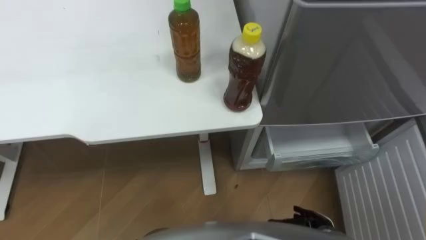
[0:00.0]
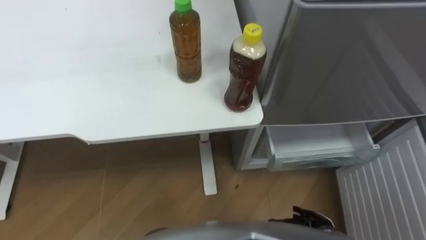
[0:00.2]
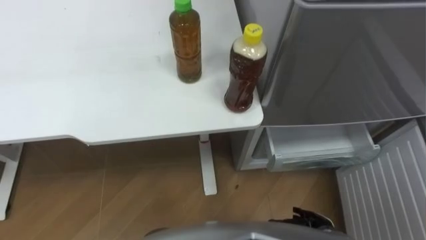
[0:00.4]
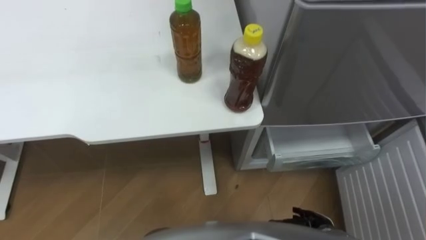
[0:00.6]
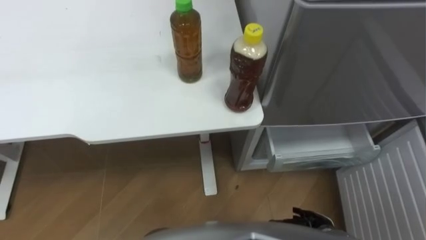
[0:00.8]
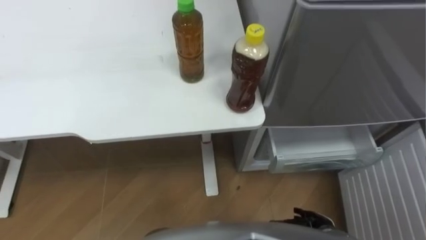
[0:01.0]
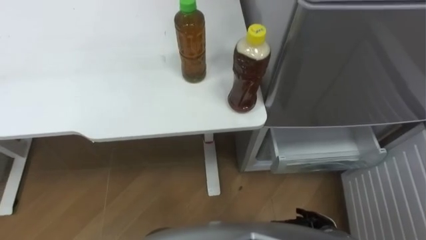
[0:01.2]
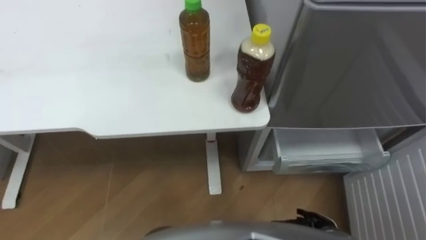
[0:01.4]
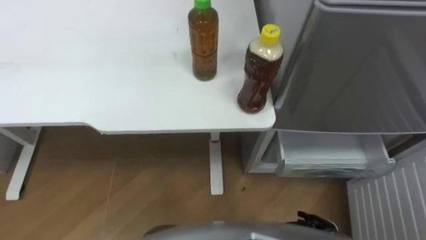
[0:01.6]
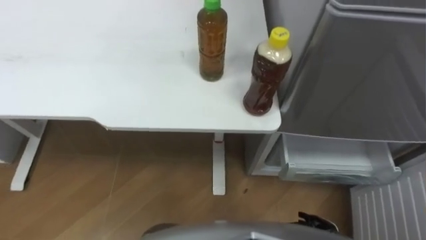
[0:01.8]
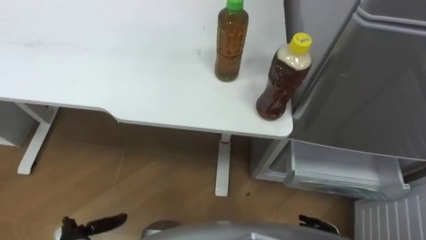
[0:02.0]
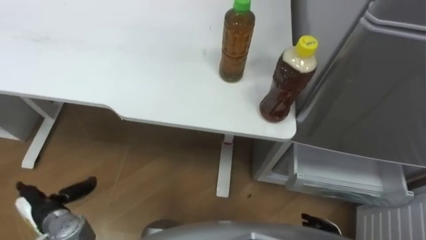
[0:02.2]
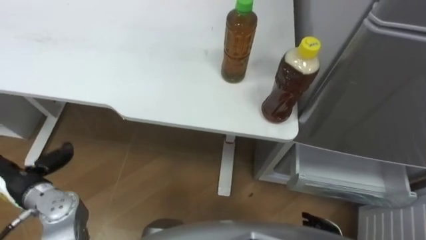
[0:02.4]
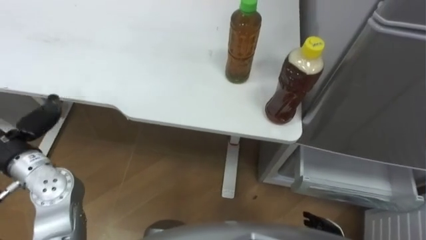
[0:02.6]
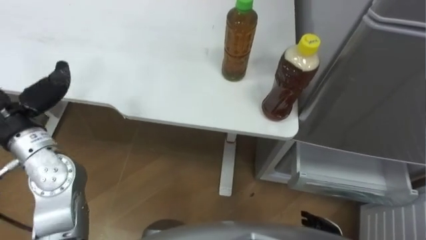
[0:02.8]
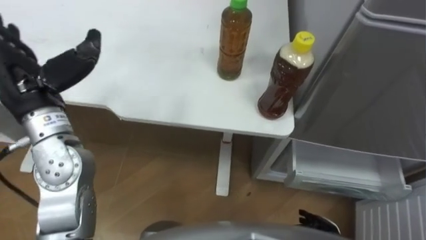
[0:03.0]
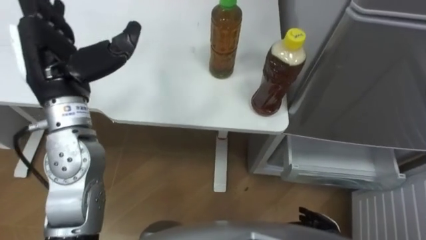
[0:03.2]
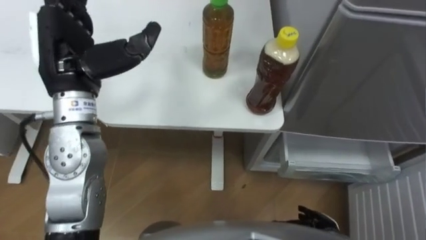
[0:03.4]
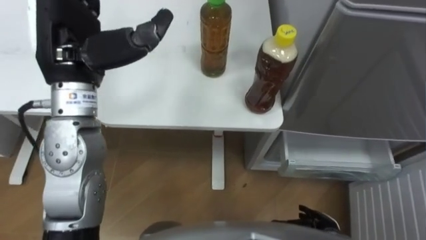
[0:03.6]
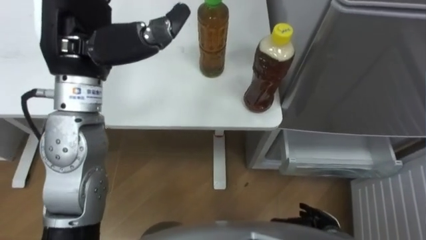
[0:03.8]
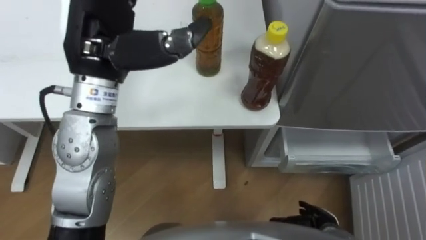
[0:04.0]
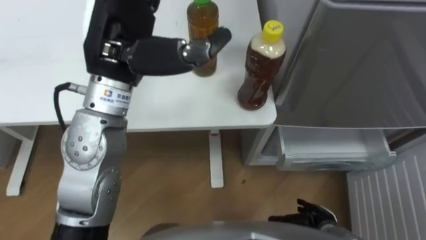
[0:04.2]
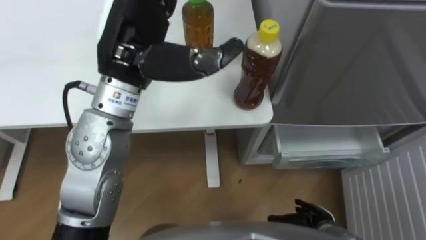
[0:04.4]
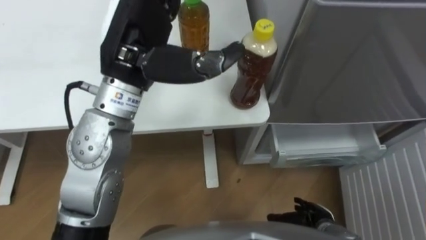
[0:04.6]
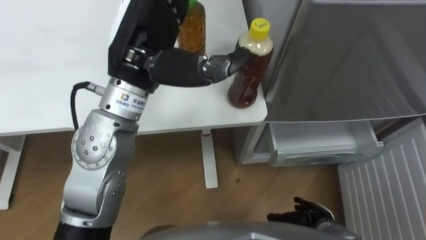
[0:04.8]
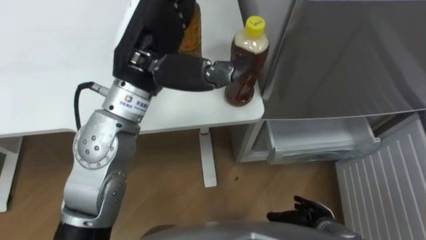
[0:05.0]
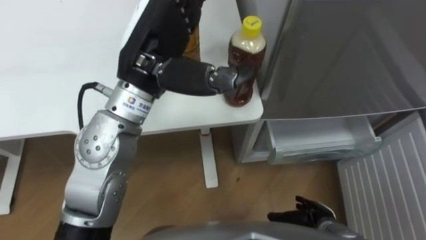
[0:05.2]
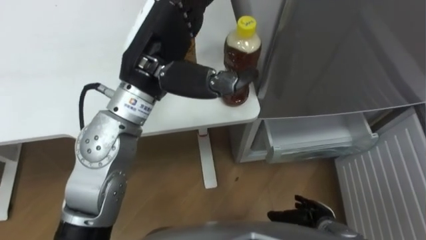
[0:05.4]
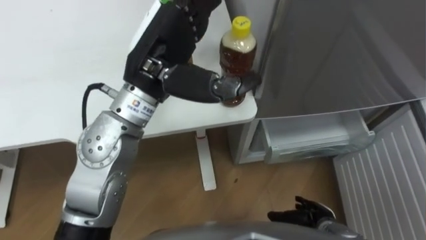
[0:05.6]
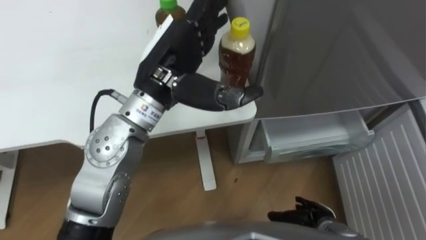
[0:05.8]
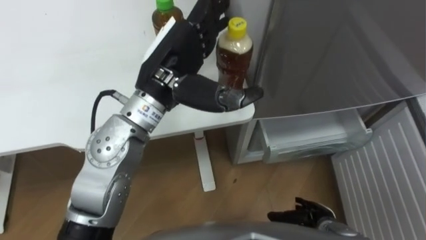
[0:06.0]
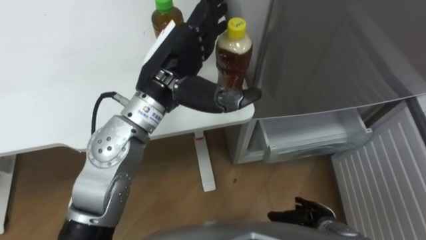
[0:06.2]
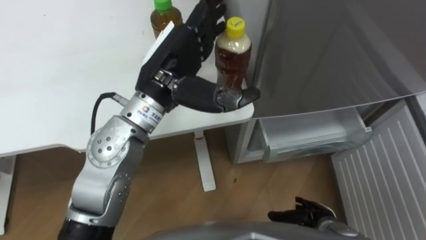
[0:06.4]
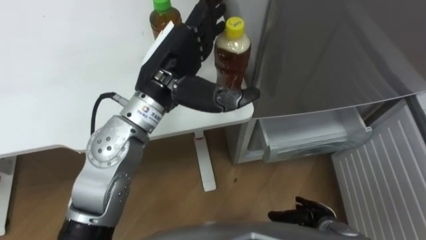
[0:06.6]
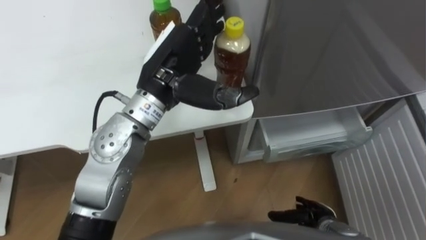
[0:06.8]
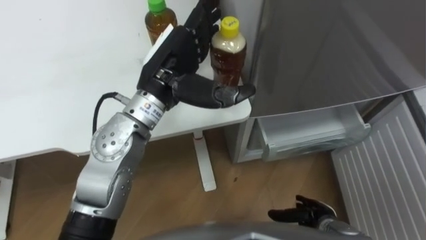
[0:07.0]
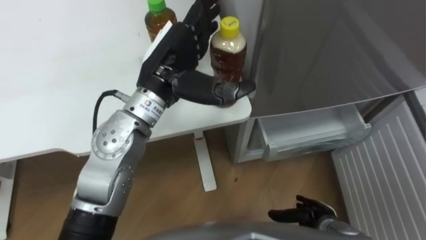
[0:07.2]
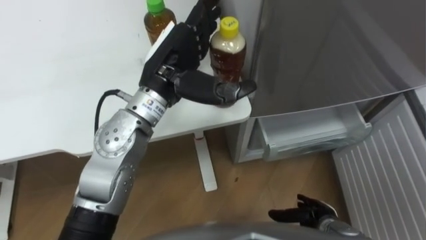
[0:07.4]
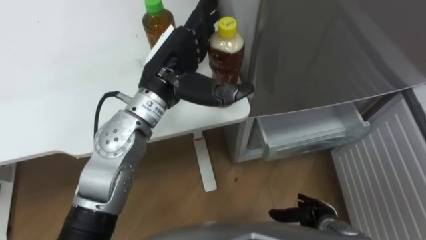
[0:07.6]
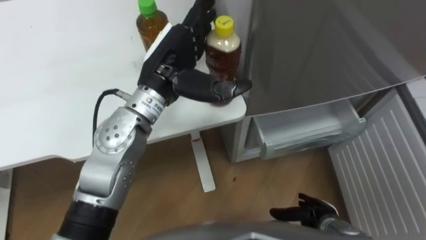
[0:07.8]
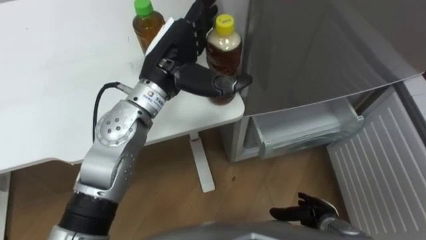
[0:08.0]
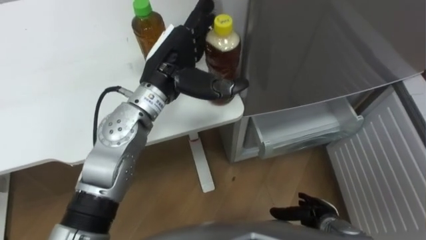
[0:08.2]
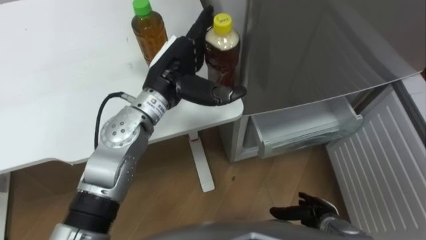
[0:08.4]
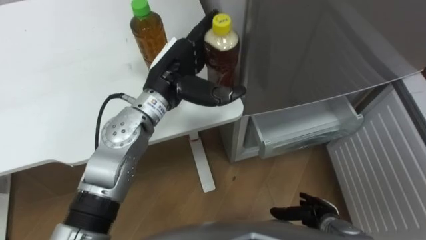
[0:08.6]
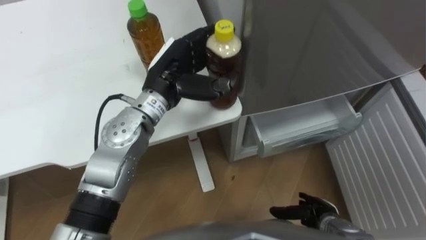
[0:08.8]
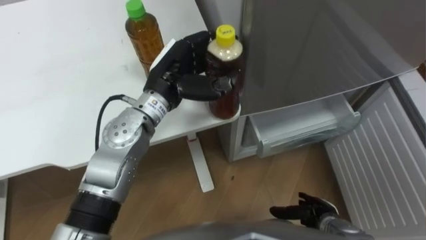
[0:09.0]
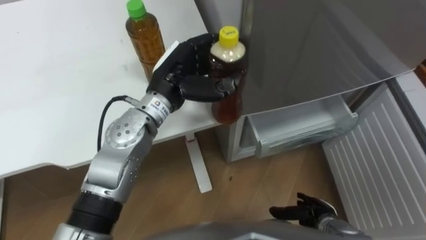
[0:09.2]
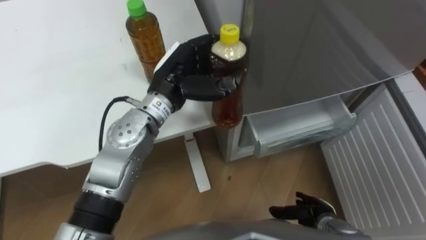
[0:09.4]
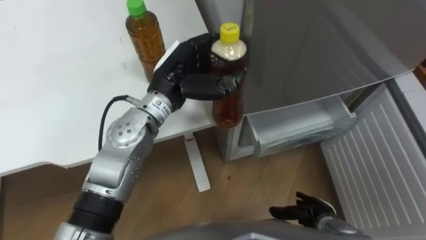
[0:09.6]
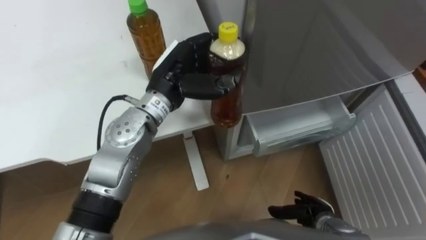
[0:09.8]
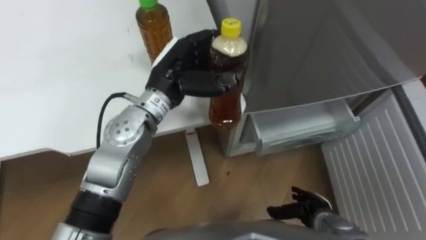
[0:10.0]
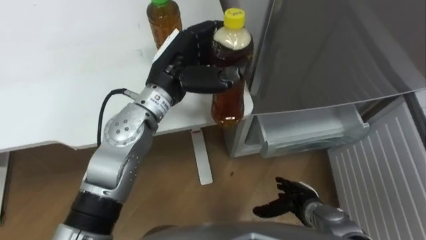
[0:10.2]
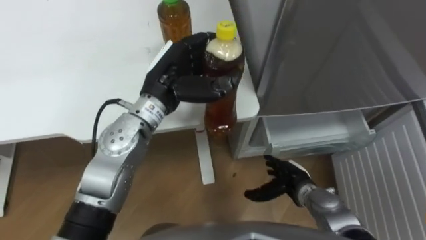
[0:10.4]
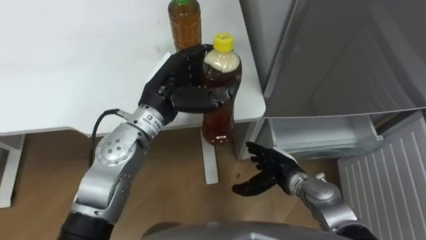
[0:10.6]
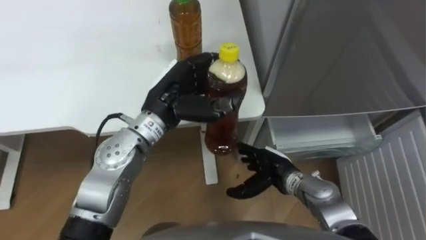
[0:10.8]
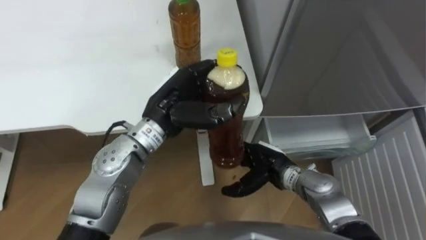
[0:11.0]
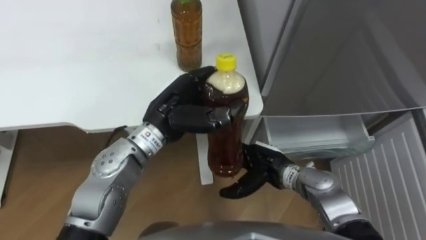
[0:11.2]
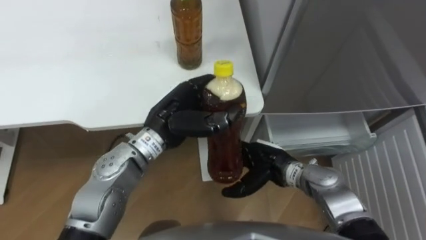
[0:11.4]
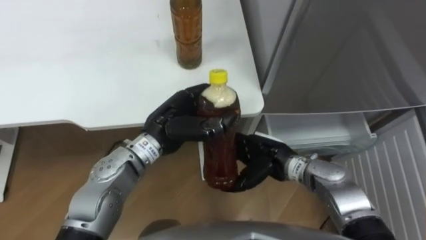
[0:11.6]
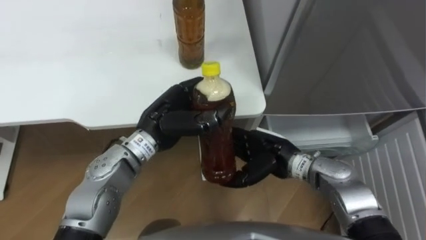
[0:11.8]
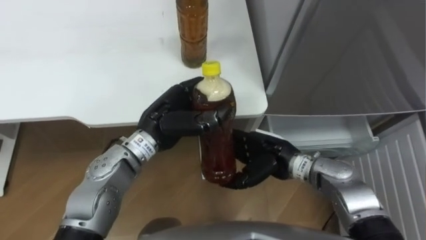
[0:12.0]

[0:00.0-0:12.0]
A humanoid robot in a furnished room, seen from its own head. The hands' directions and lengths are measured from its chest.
Task of the whole recording: Place the drink on the table on the bottom shelf of the refrigerator, then close the drawer and the refrigerator door.
0:03.0 to 0:04.4: The left hand moves to the right and upward, approximately 20 cm.
0:04.4 to 0:06.0: The left hand changes place by approximately 5 cm.
0:07.6 to 0:09.0: The left hand closes.
0:09.0 to 0:10.4: The right hand shifts some 10 cm forward and to the left.
0:10.4 to 0:12.0: The right hand shifts about 15 cm upward and to the left; the left hand goes about 5 cm downward.

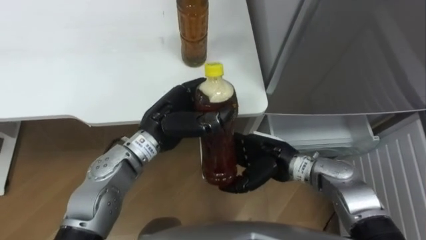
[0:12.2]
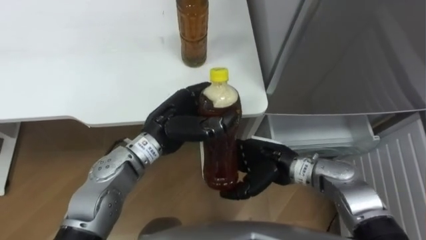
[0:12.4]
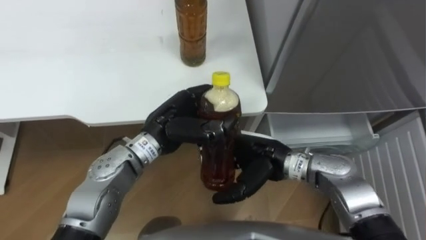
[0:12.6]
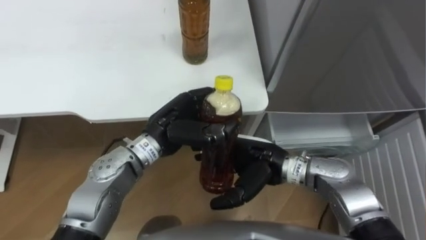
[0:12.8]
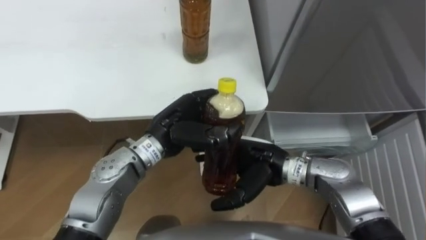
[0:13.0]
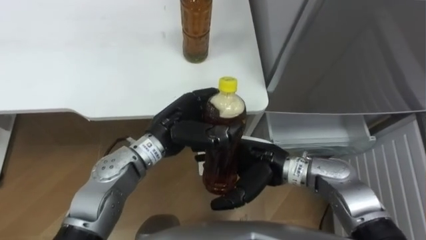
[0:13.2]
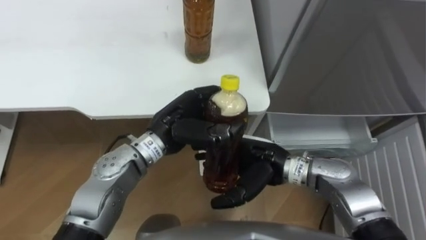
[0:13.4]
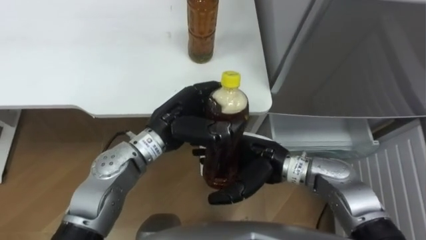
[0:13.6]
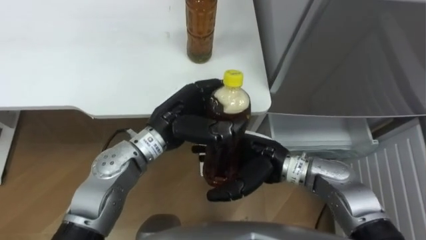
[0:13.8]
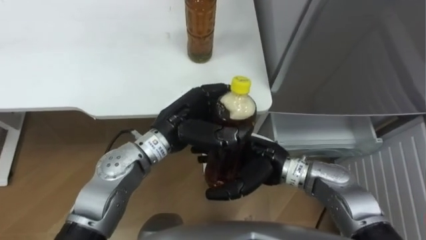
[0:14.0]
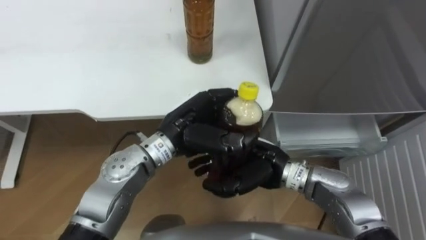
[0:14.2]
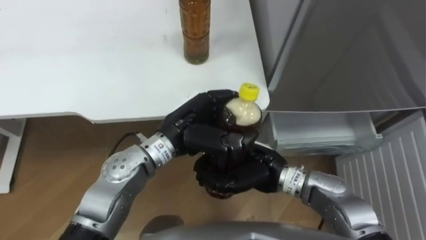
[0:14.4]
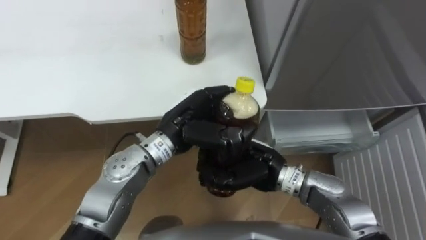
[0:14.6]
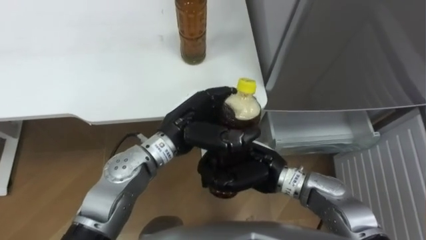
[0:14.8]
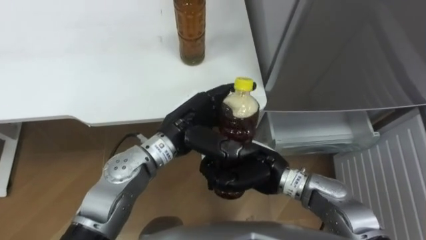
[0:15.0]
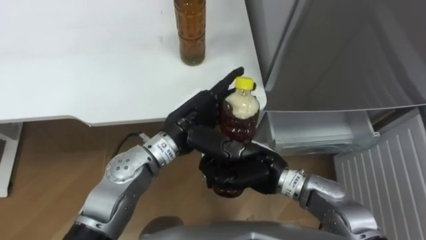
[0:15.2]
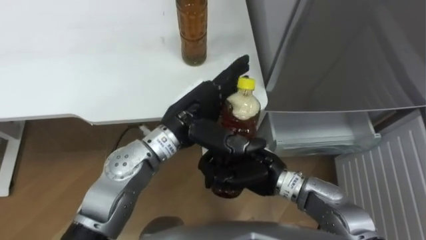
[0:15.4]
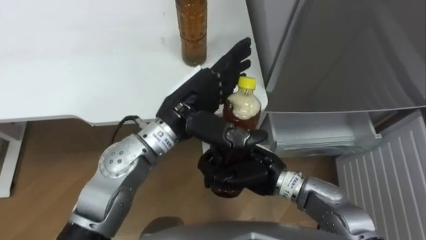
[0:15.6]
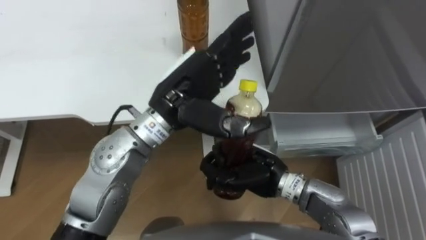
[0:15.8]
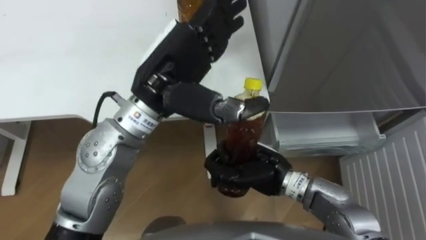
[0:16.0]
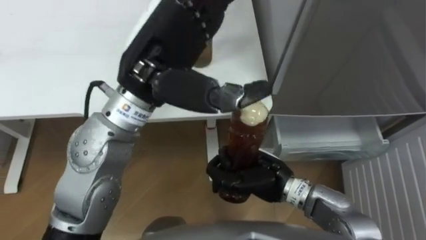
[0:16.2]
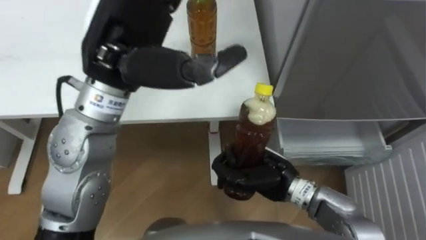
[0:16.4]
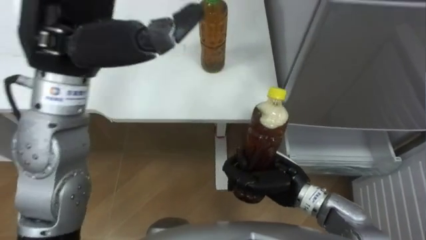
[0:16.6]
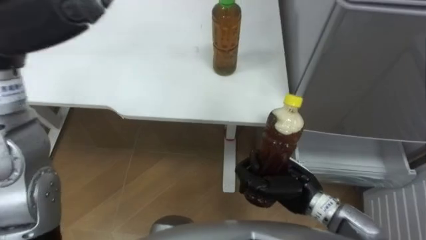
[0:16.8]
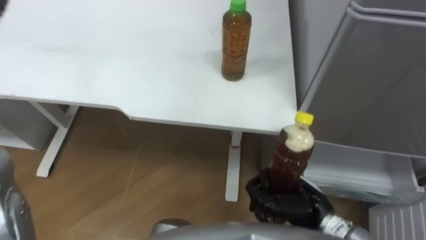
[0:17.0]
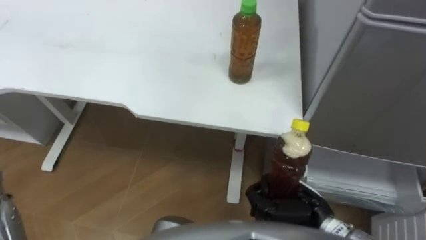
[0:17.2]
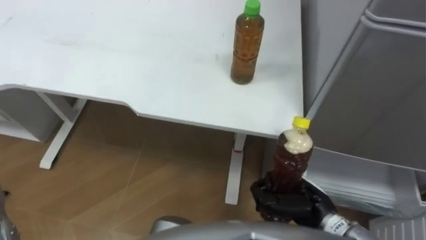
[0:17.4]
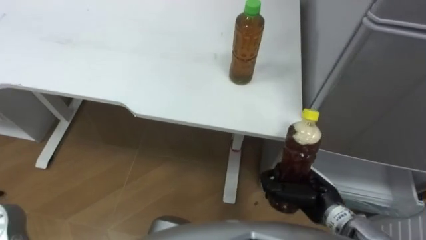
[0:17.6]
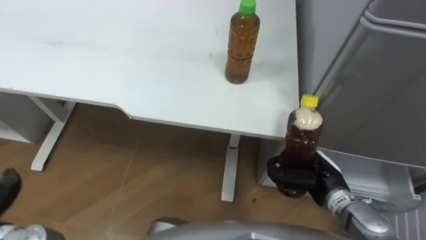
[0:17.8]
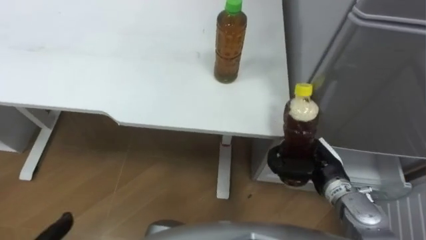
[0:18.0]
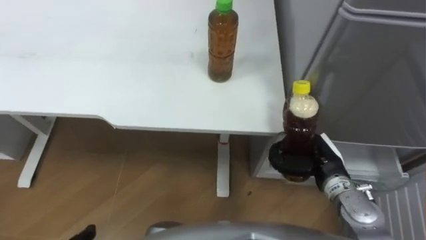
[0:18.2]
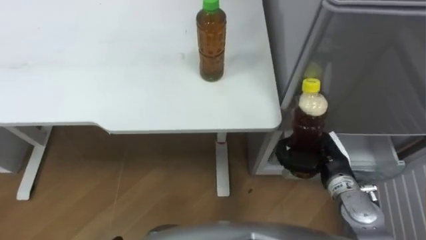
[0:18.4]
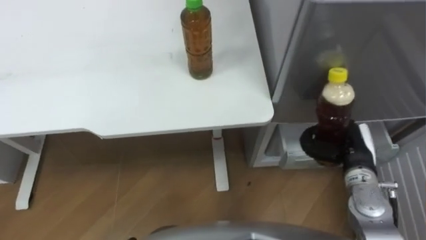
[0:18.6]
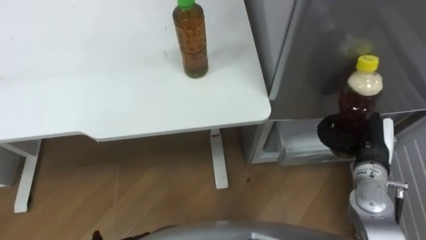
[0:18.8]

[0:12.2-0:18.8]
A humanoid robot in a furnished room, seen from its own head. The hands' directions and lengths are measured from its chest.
Task of the whole recording: Place the drink on the table on the bottom shelf of the refrigerator, then close the drawer and the refrigerator door.
0:12.2 to 0:13.8: The right hand shifts by some 5 cm.
0:13.8 to 0:15.4: The right hand closes. Meanwhile the left hand opens.
0:15.4 to 0:17.2: The right hand is displaced to the right and backward by some 10 cm.
0:17.2 to 0:18.8: The right hand moves to the right, forward and upward, about 15 cm.
